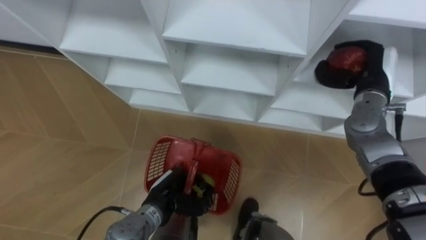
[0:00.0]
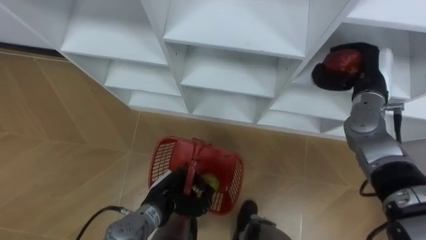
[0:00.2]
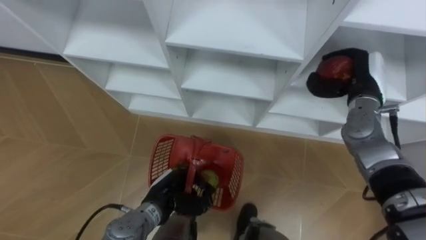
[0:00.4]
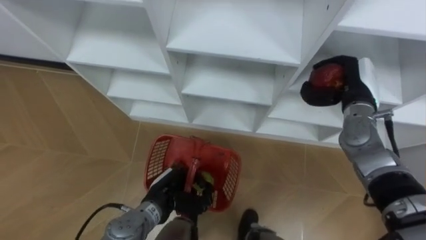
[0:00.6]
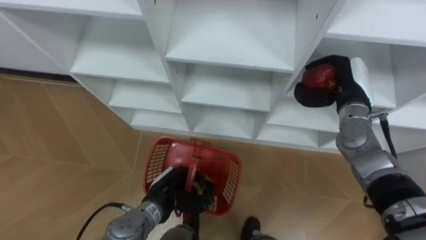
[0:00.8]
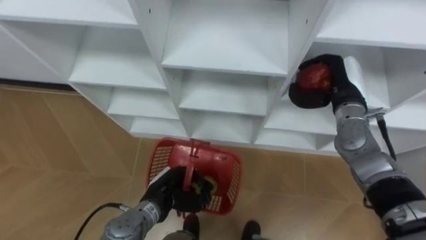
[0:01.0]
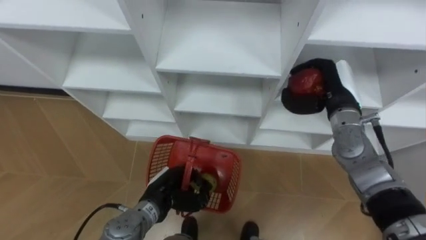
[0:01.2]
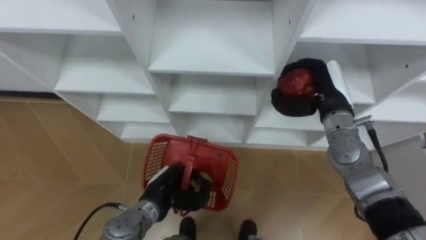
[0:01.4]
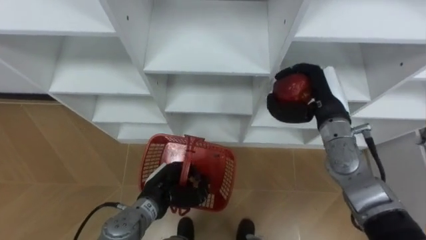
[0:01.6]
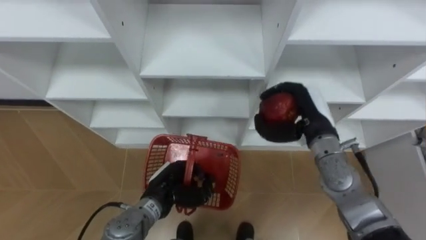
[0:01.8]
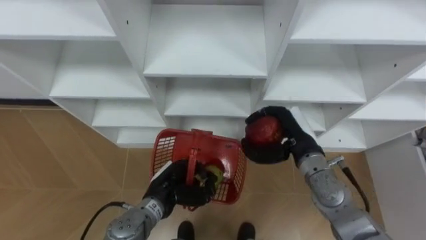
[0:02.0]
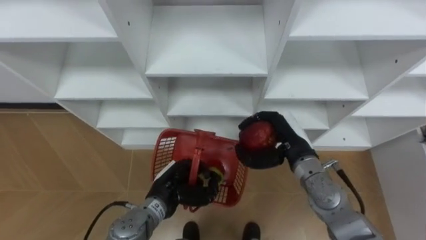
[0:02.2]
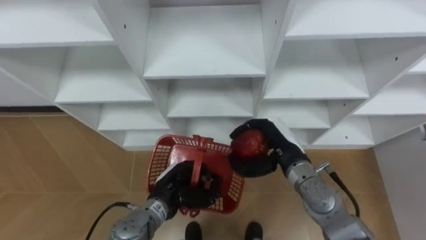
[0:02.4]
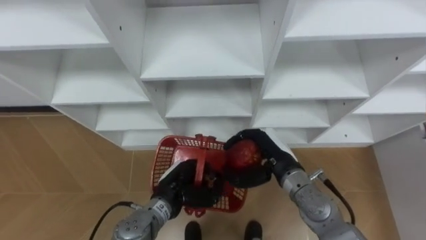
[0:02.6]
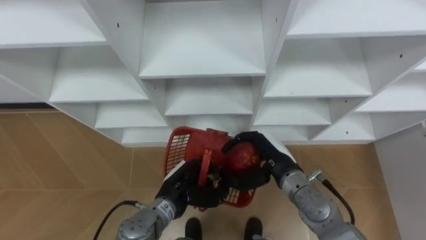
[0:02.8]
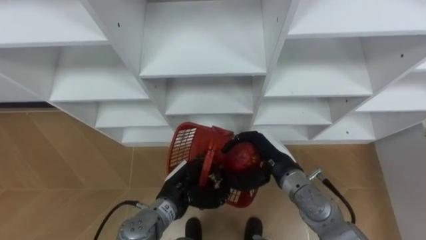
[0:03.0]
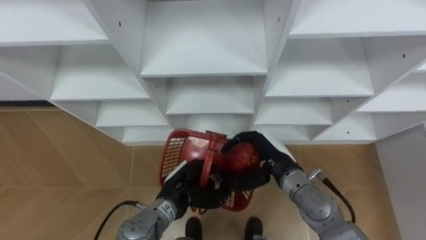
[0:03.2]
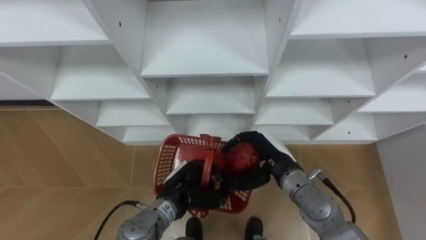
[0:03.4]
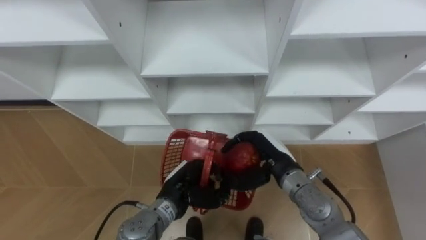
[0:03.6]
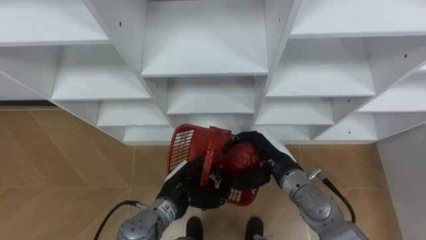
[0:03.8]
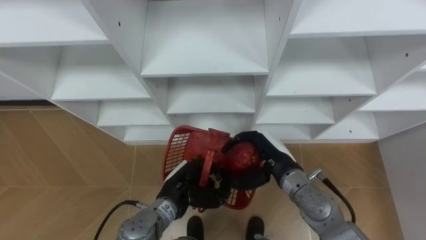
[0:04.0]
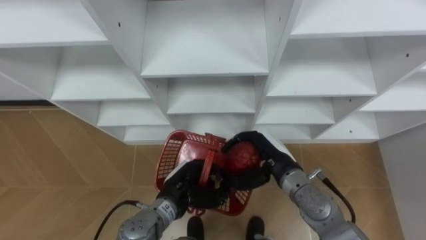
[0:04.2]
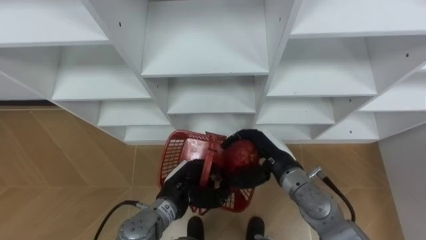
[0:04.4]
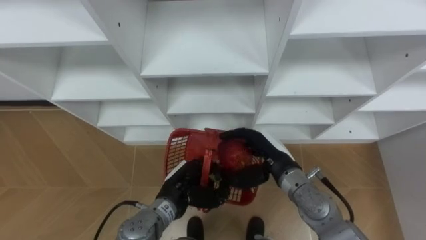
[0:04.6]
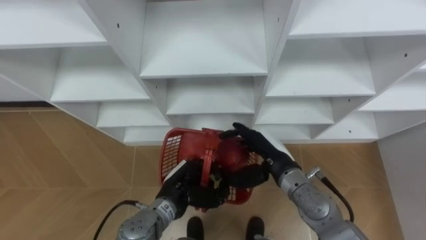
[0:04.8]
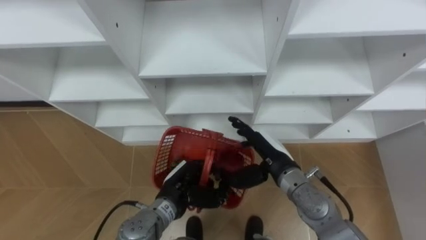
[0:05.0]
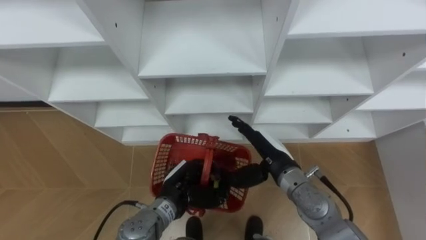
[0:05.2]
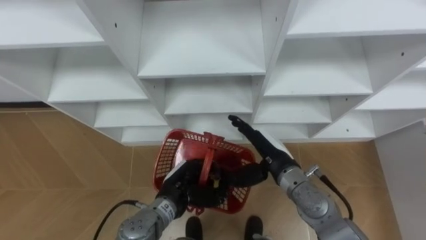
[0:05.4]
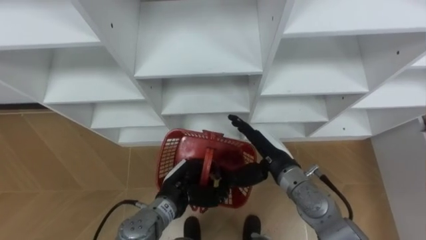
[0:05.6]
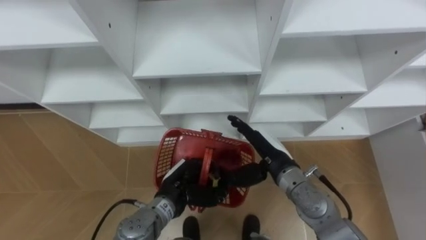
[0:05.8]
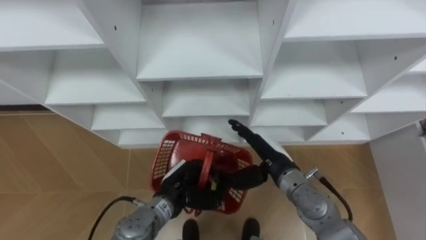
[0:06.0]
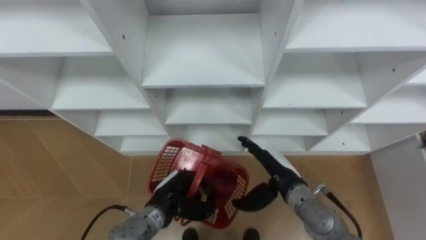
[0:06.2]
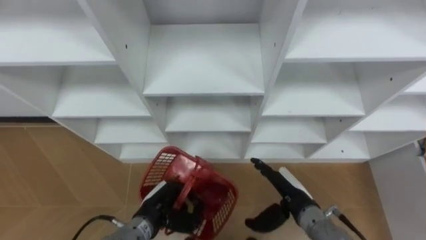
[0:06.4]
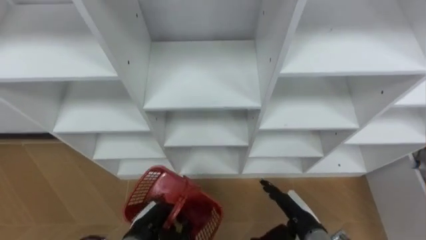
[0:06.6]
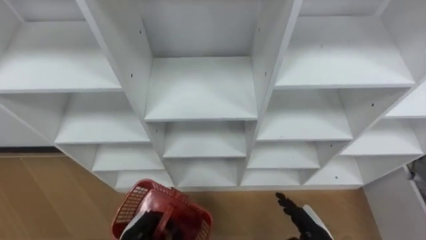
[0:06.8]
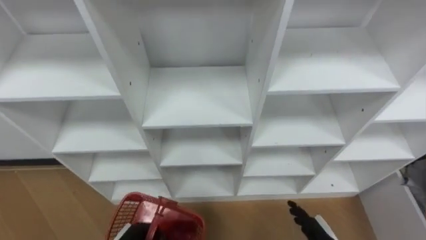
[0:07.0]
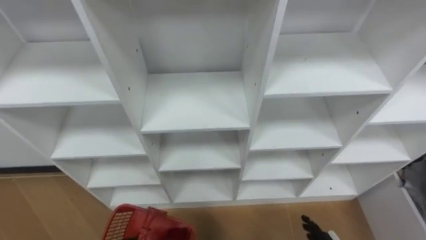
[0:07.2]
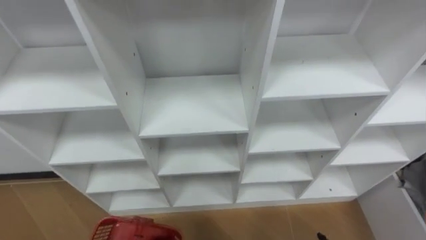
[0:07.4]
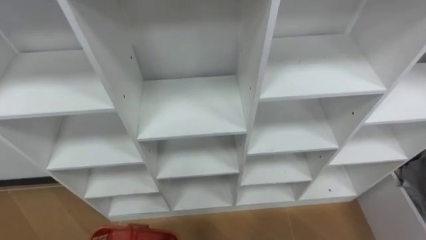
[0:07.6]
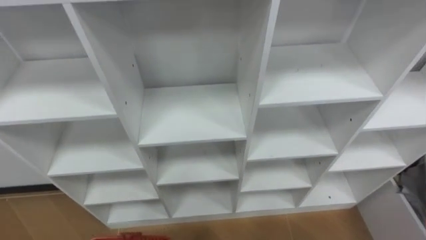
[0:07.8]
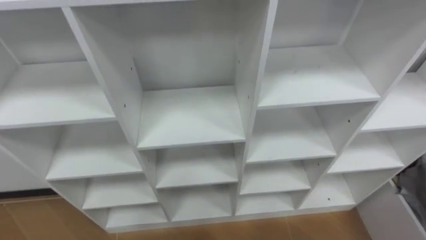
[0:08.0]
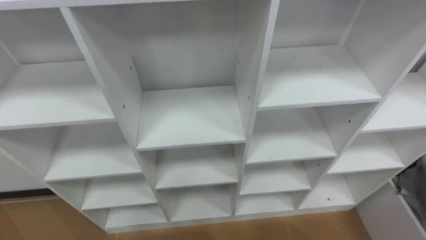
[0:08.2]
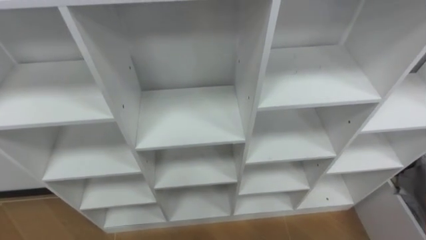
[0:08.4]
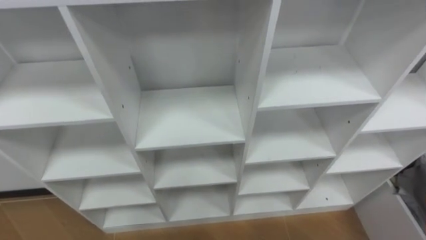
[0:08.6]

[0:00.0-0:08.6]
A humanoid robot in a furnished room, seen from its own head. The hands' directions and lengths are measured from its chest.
Task of the whole recording: Hold the basket and collect the fruits from 3 different cells of the closet into it.
0:00.0 to 0:01.4: The right hand moves to the left, approximately 10 cm.
0:01.4 to 0:02.8: The right hand moves to the left, downward and backward, some 15 cm.
0:02.8 to 0:04.4: Neither hand changes place.
0:04.4 to 0:05.8: The right hand opens its fingers.
